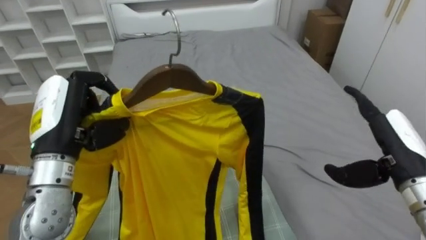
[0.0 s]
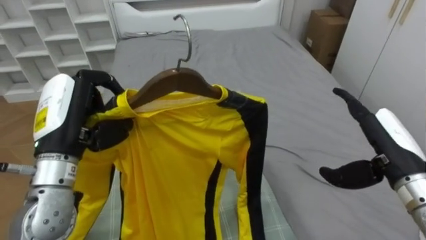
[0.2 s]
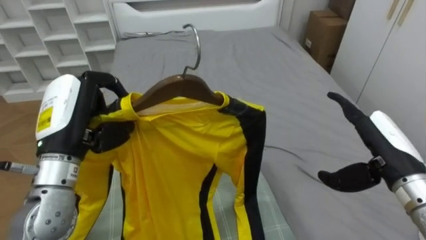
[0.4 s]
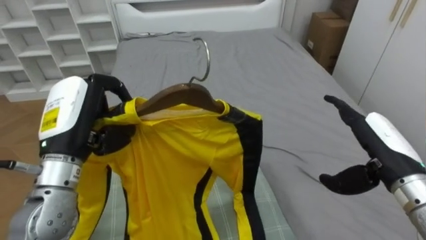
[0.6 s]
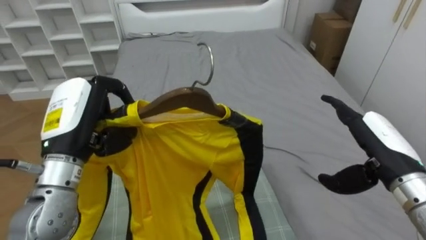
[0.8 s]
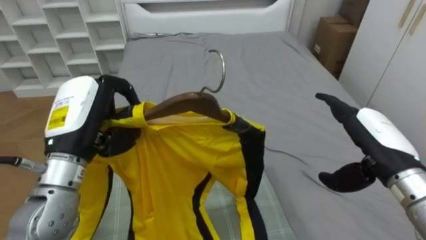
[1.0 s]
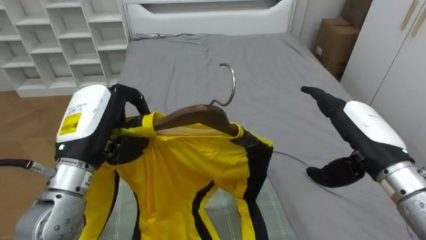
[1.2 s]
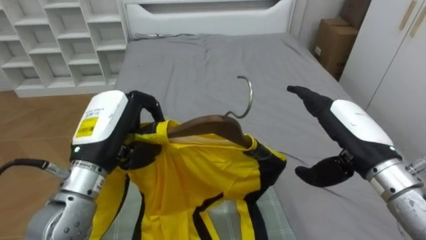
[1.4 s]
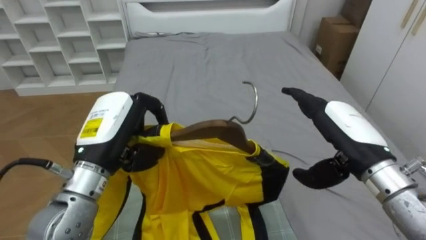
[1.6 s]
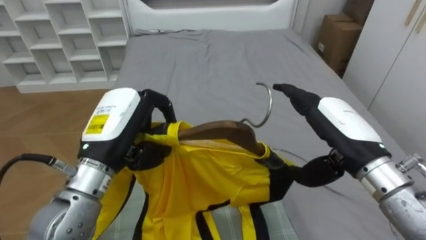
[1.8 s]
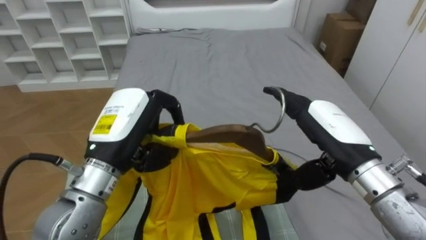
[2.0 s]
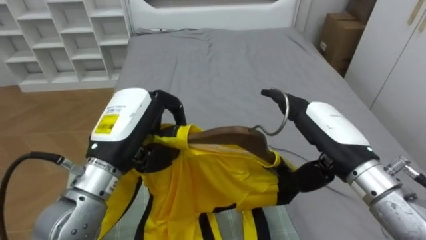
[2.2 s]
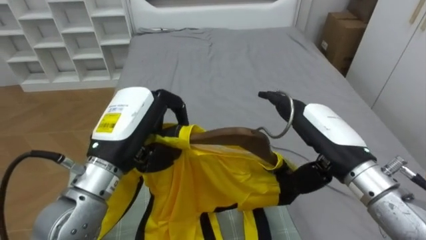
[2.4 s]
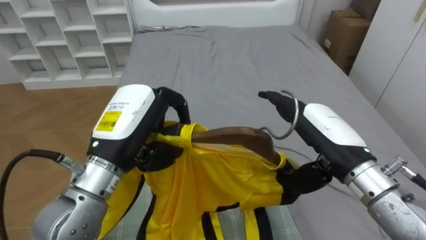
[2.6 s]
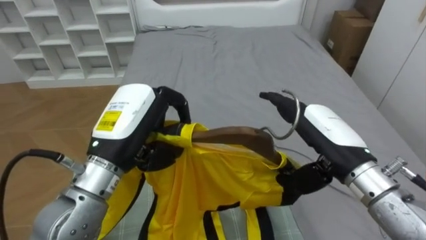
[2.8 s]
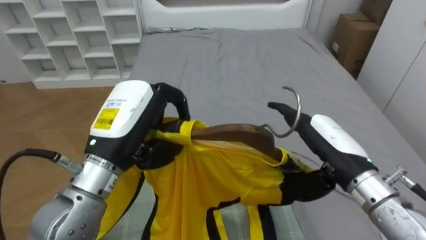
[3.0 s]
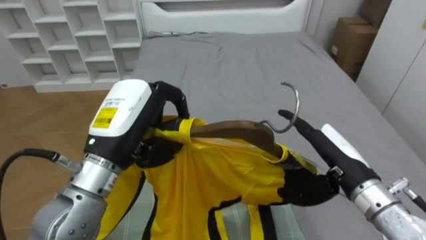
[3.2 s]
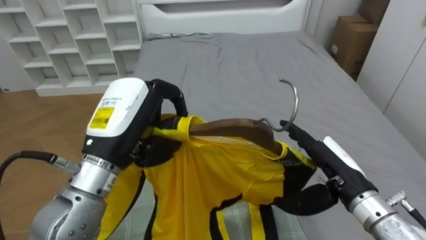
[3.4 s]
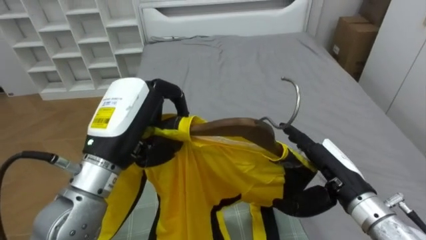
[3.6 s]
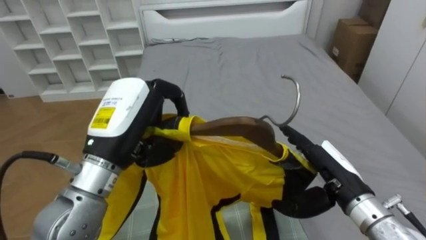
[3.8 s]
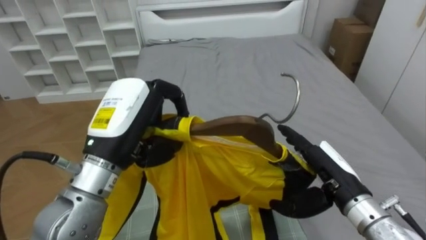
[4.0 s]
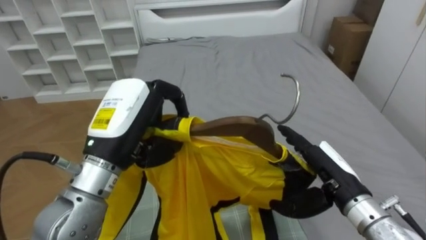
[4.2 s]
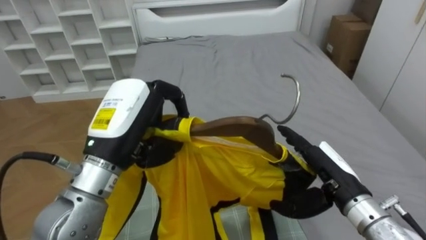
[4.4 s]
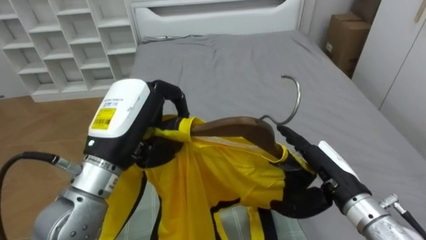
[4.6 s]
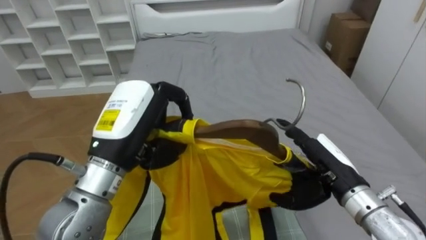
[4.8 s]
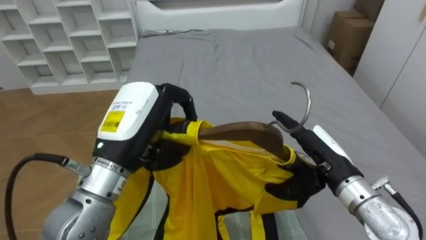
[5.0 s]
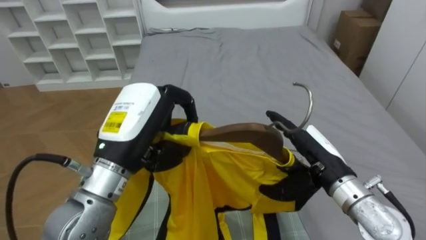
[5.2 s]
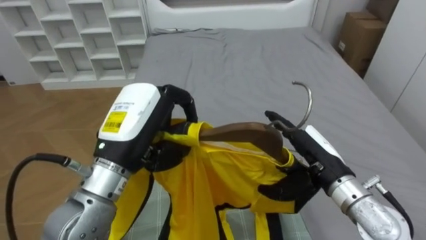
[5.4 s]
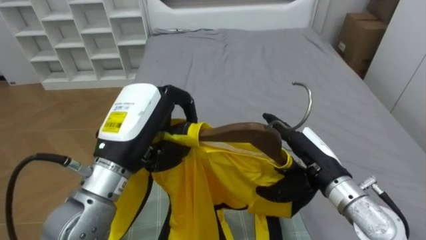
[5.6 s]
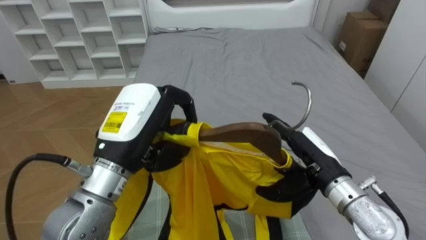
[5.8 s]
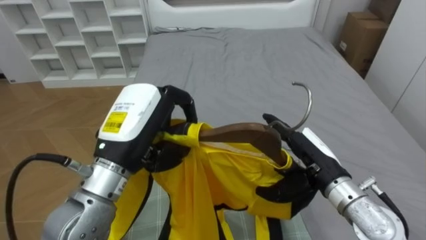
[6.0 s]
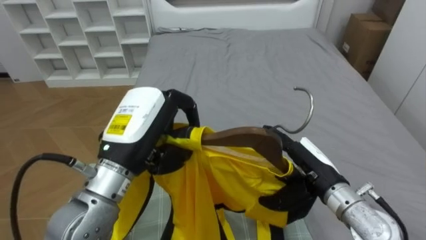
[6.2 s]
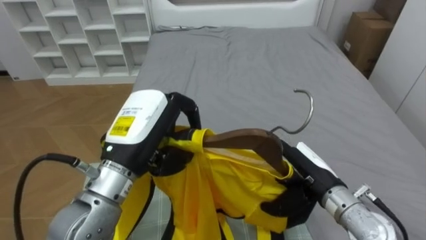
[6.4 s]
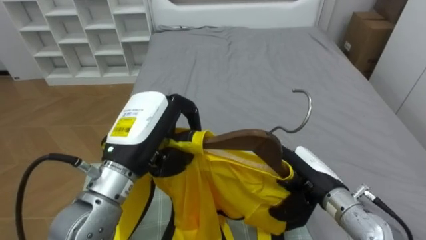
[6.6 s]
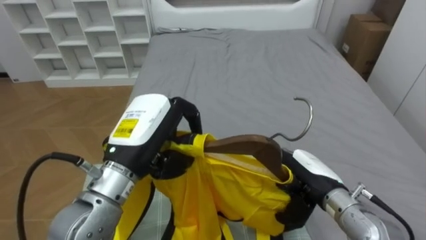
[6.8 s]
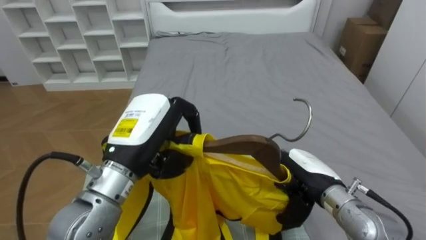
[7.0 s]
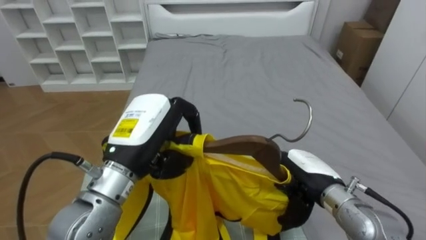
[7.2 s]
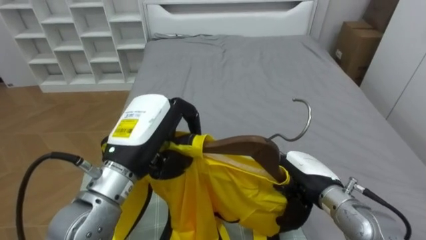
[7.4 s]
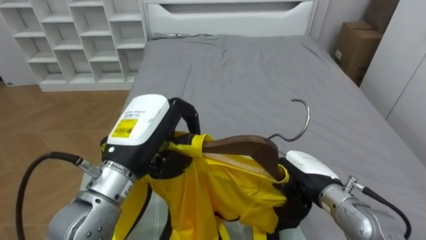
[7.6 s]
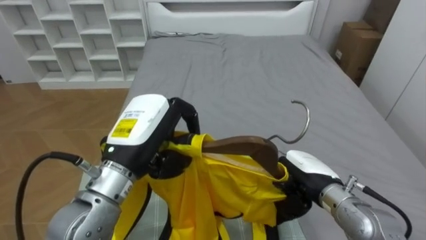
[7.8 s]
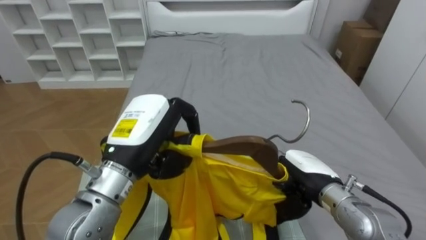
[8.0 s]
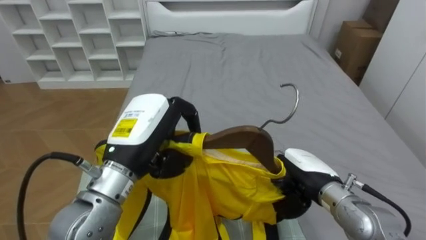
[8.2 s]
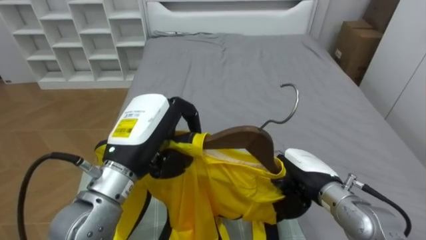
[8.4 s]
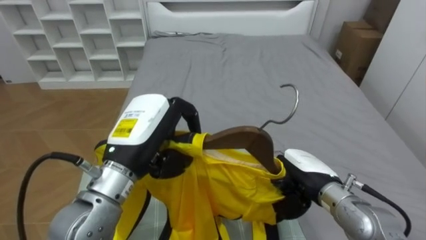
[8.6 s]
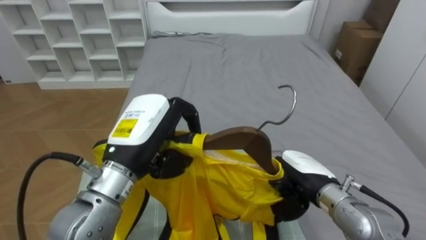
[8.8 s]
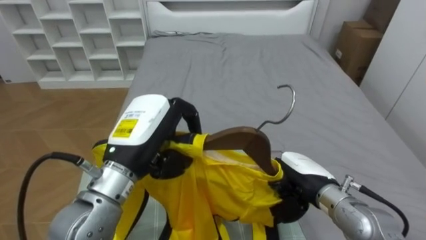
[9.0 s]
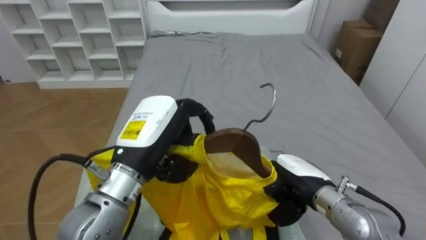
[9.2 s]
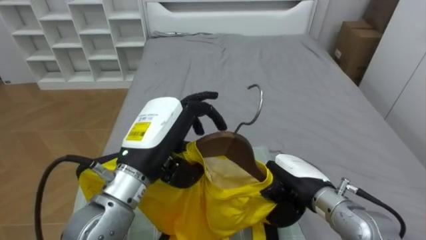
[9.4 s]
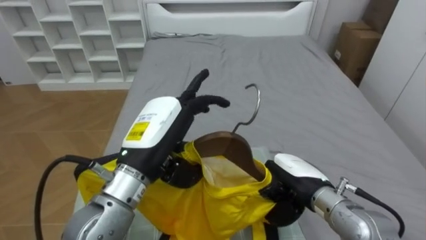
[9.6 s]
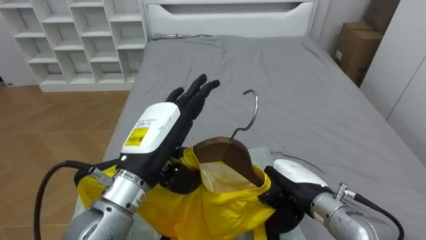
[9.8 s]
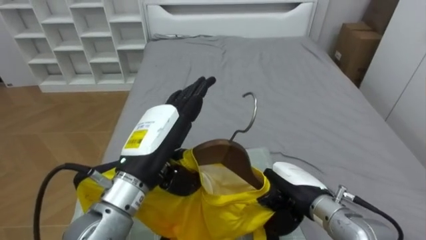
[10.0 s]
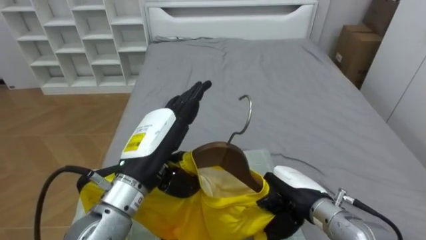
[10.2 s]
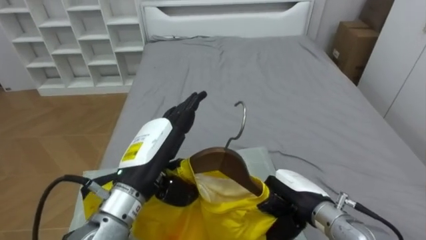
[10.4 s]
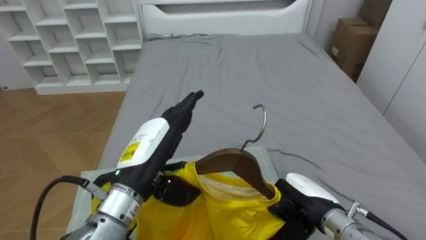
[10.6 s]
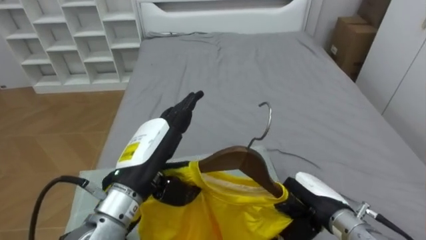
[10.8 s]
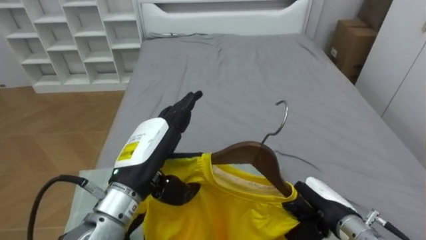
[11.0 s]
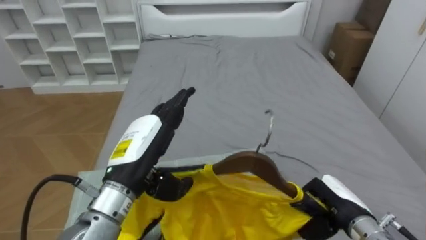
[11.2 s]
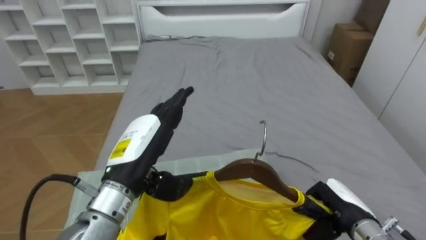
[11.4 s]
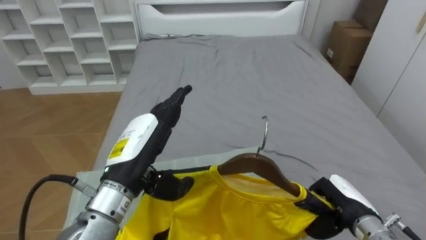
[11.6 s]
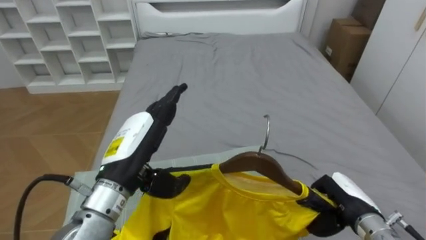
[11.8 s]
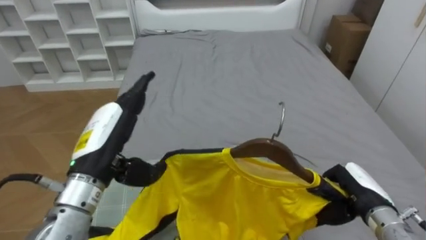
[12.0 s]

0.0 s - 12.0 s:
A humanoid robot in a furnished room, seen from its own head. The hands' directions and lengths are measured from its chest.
Task of the whole recording: Pick up the yellow shirt on the bed and hang it on the clothes rack on the right.
0.0 s - 1.6 s: The left hand heads to the right, covering some 5 cm; the right hand heads to the left, covering approximately 5 cm.
3.0 s - 4.4 s: The right hand shifts roughly 5 cm downward.
7.6 s - 9.0 s: The right hand closes its fingers.
9.0 s - 10.4 s: The left hand opens its fingers.
10.4 s - 12.0 s: The left hand travels to the left by some 5 cm. Meanwhile the right hand goes some 10 cm to the right.

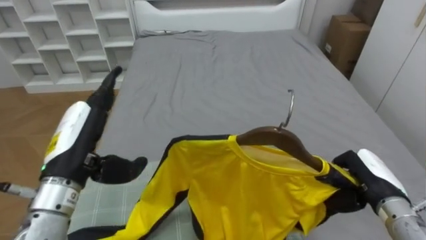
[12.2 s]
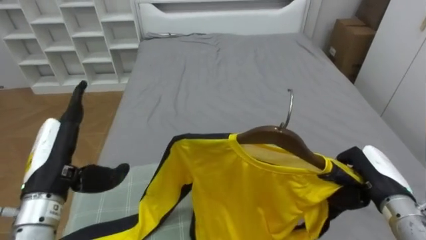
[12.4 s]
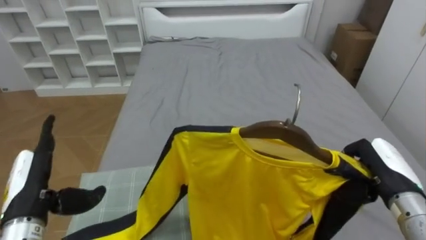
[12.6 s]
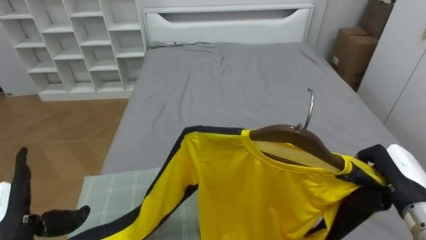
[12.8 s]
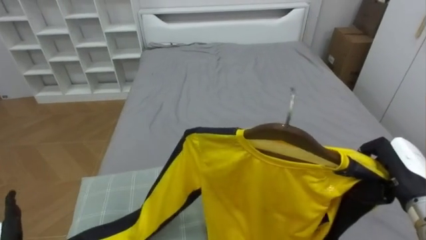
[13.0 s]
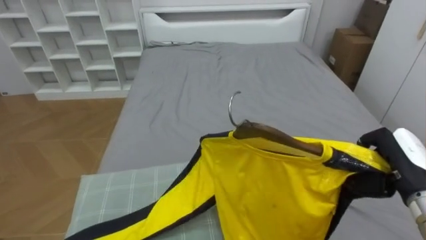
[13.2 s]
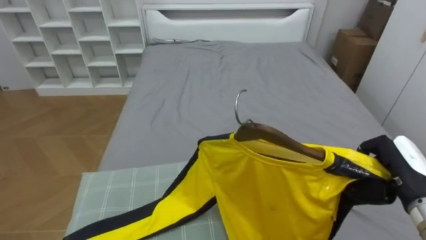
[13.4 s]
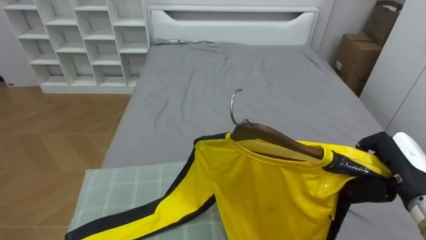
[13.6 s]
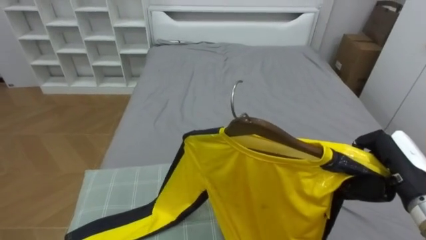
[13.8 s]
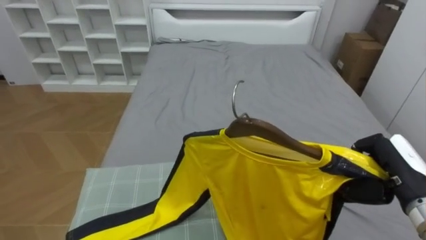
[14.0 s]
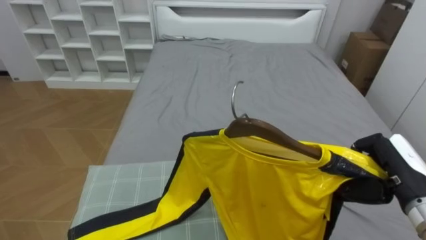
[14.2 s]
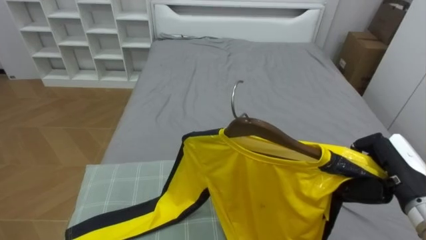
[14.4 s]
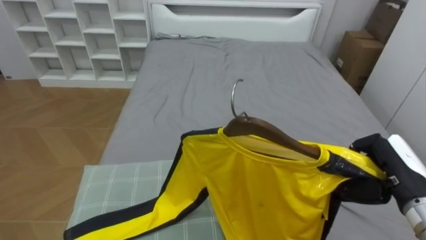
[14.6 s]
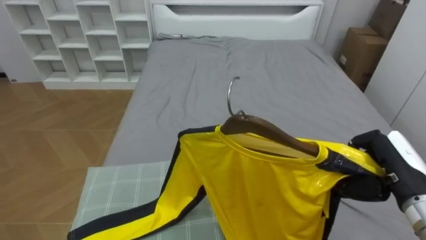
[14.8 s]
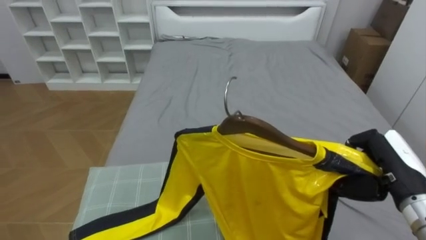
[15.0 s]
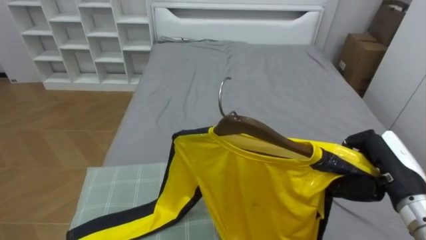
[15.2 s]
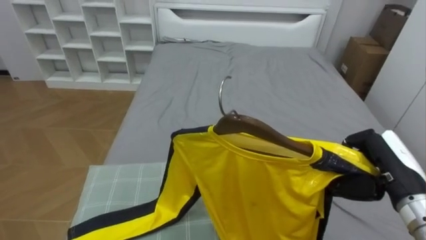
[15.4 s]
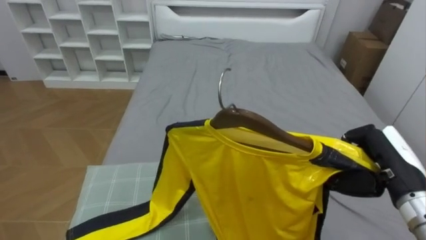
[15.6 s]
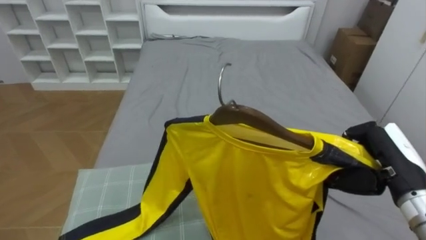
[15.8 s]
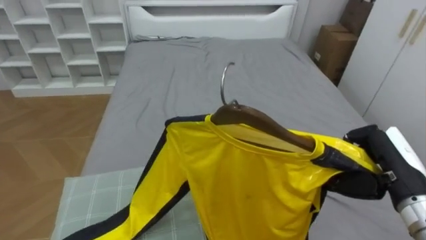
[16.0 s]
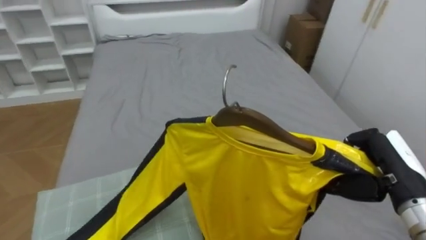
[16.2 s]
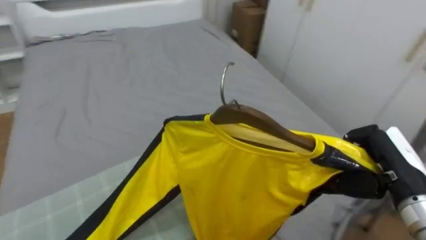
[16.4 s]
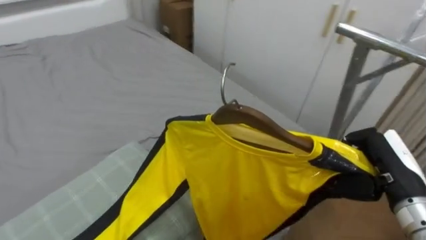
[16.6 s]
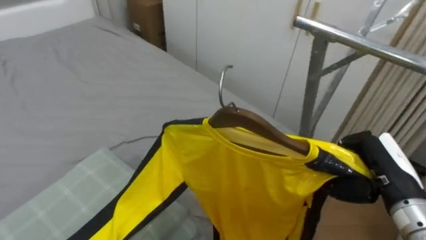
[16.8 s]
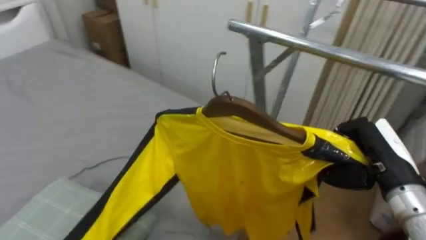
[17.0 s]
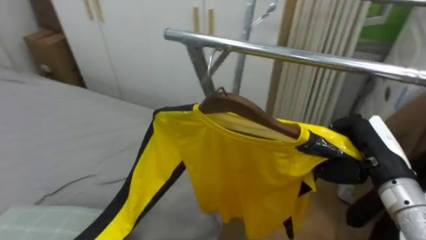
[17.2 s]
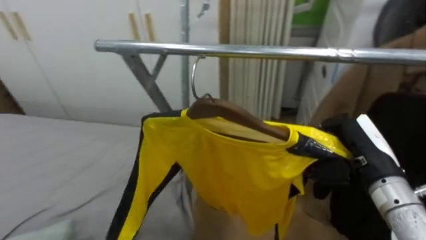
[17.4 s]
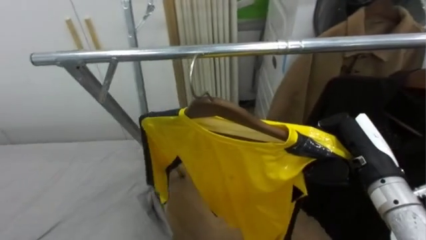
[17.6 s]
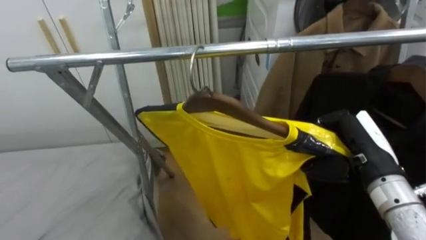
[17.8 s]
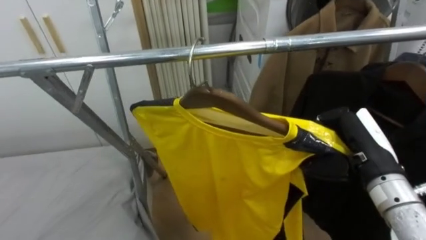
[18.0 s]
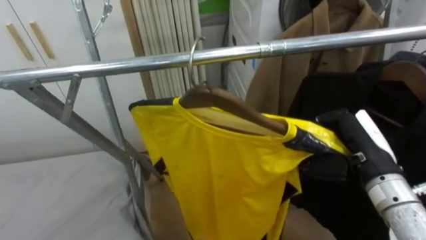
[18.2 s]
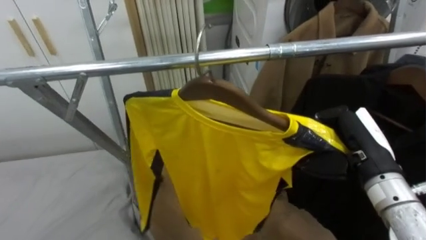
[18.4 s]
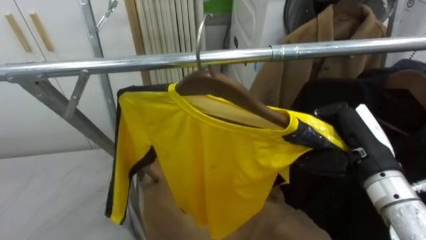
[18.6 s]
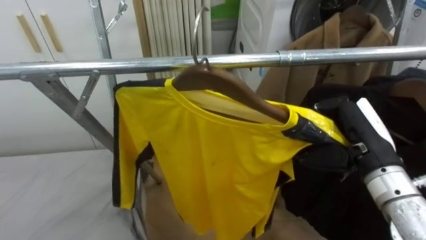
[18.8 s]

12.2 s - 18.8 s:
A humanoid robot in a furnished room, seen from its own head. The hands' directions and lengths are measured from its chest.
Task of the whole recording: Pick up the yellow shirt on the bed and hang it on the clothes rack on the right.
12.2 s - 13.8 s: The right hand moves upward, approximately 10 cm.
15.4 s - 17.2 s: The robot's body swings about 60 degrees to its right.
17.2 s - 18.8 s: The robot rotates about 35 degrees to its right.
